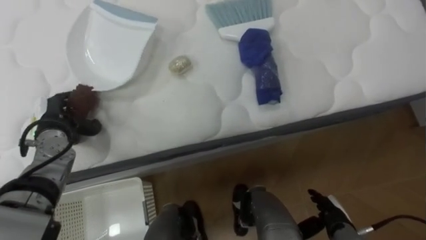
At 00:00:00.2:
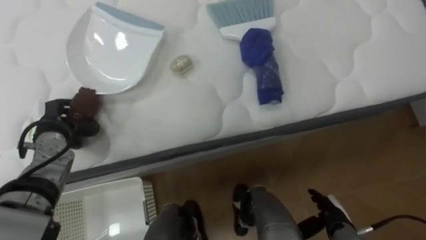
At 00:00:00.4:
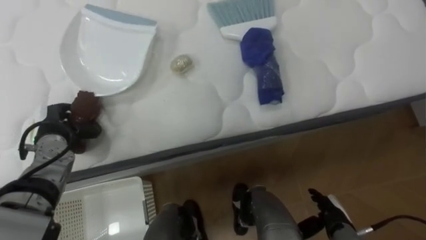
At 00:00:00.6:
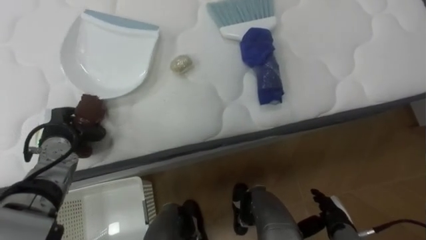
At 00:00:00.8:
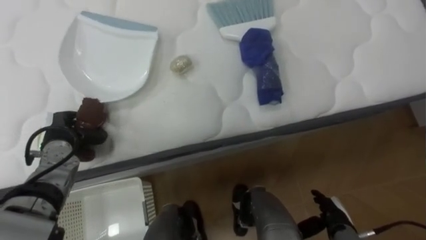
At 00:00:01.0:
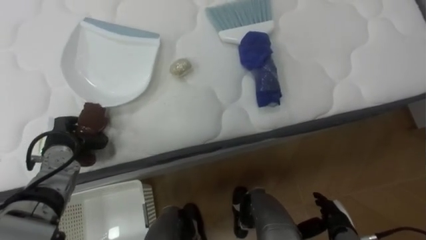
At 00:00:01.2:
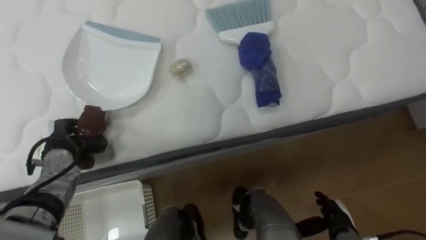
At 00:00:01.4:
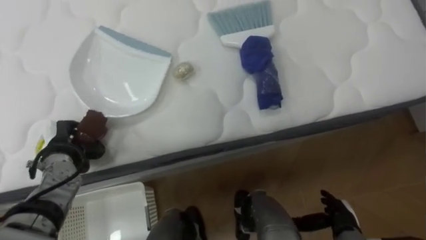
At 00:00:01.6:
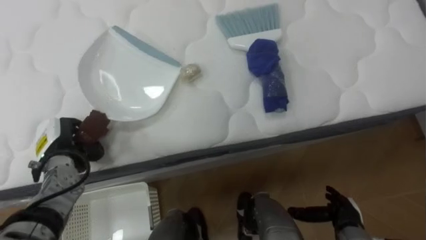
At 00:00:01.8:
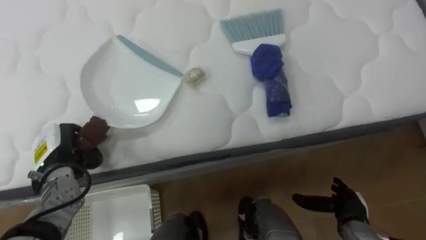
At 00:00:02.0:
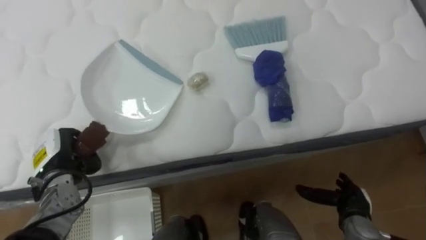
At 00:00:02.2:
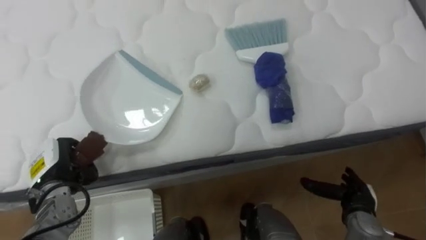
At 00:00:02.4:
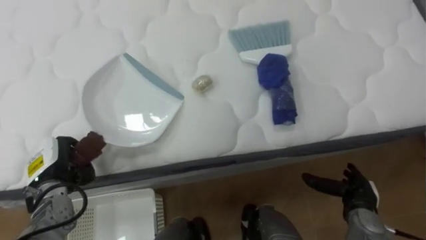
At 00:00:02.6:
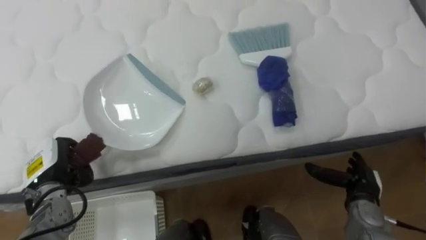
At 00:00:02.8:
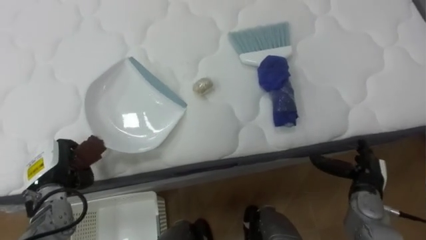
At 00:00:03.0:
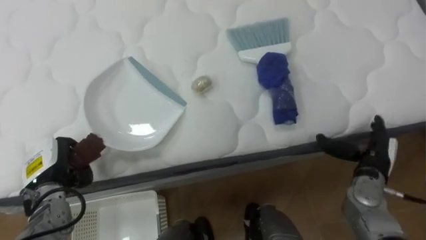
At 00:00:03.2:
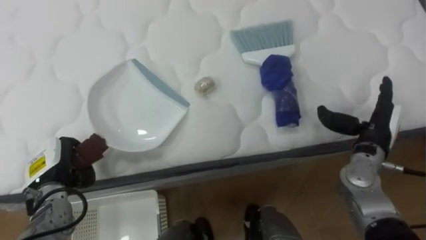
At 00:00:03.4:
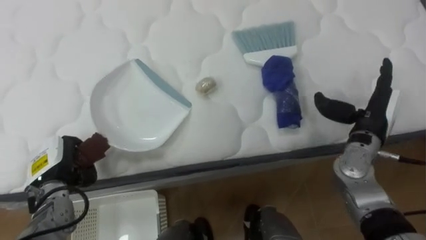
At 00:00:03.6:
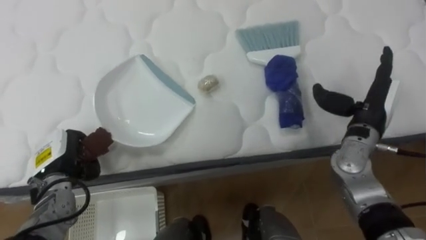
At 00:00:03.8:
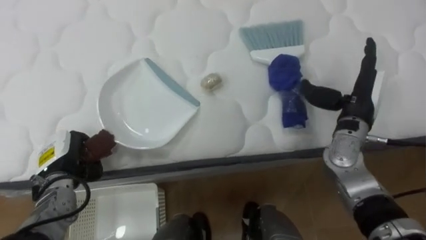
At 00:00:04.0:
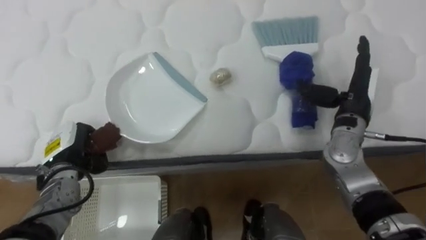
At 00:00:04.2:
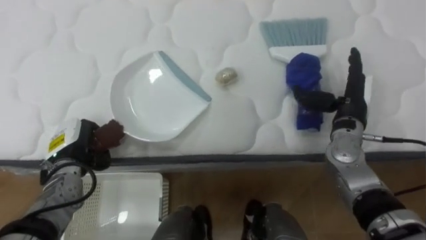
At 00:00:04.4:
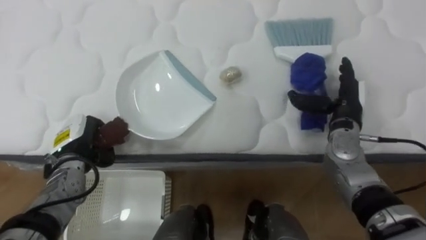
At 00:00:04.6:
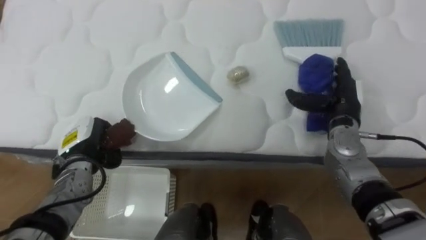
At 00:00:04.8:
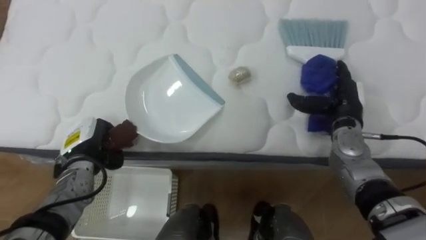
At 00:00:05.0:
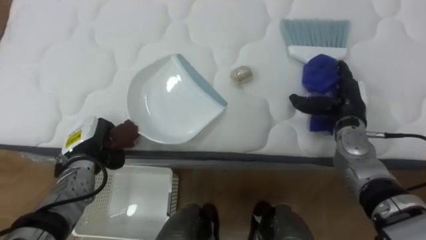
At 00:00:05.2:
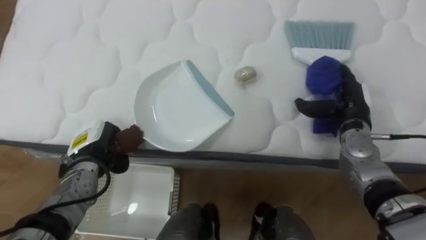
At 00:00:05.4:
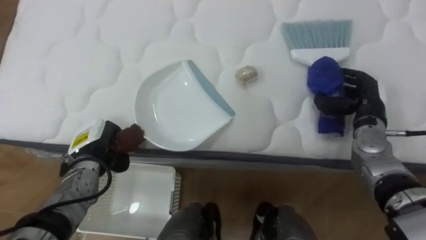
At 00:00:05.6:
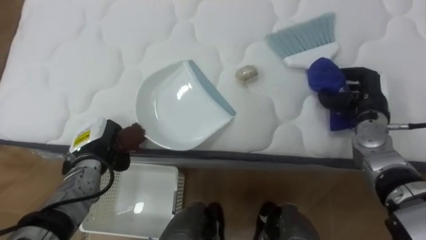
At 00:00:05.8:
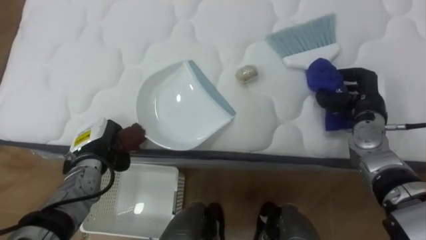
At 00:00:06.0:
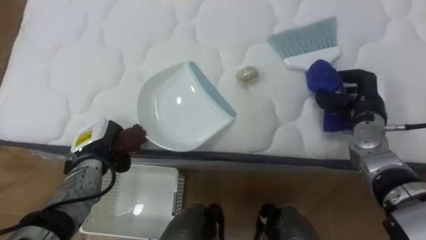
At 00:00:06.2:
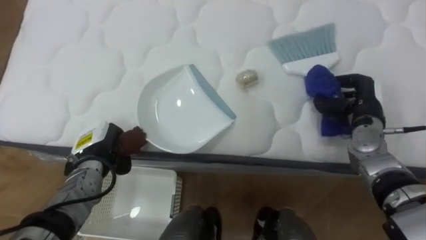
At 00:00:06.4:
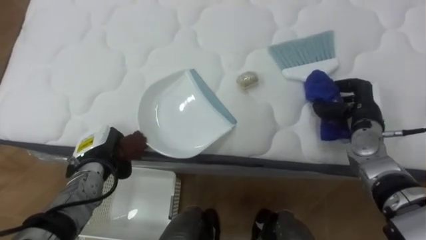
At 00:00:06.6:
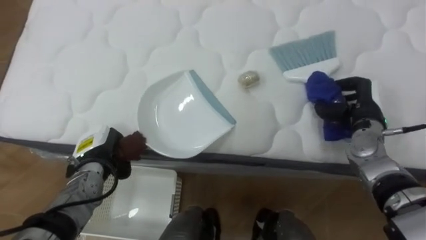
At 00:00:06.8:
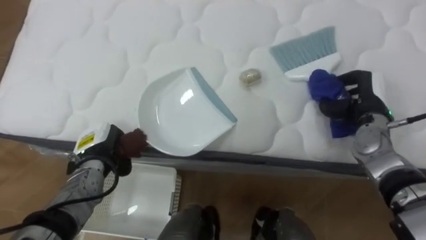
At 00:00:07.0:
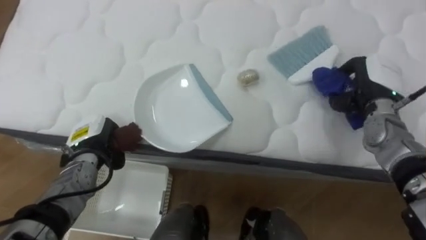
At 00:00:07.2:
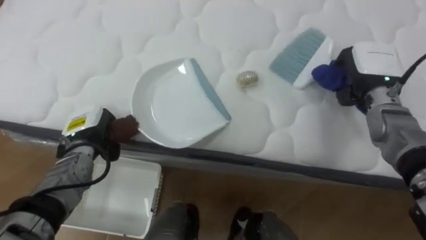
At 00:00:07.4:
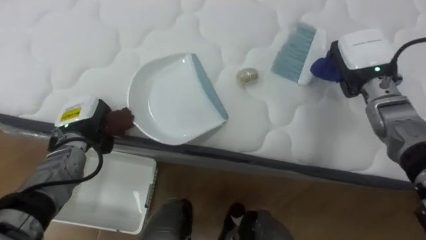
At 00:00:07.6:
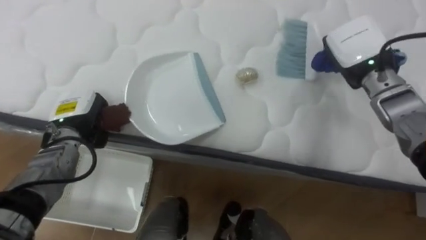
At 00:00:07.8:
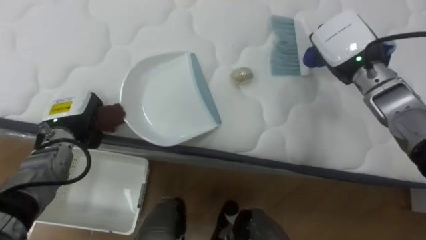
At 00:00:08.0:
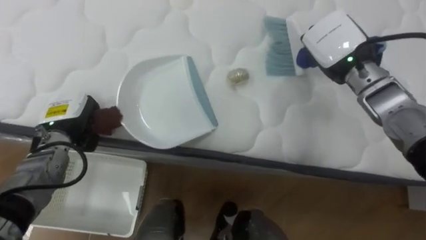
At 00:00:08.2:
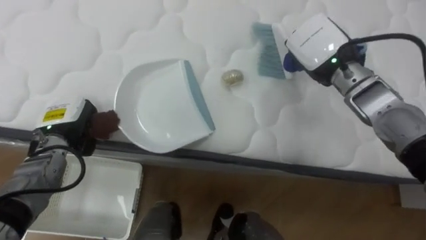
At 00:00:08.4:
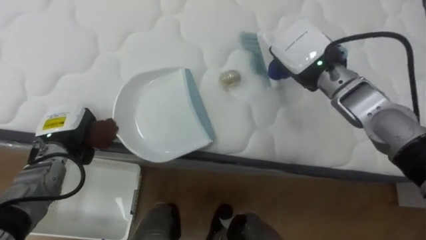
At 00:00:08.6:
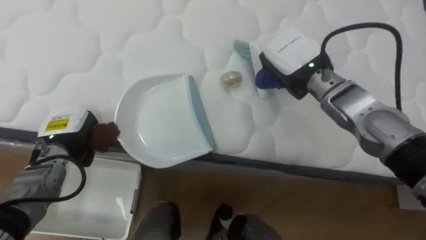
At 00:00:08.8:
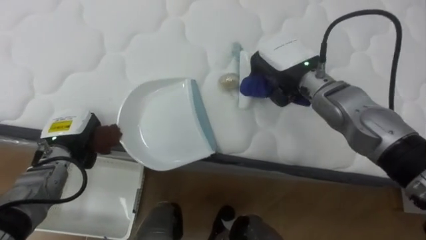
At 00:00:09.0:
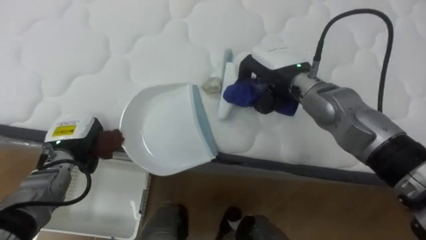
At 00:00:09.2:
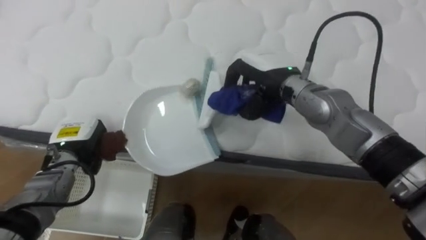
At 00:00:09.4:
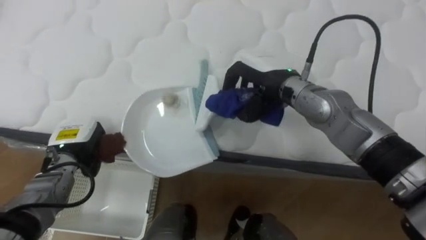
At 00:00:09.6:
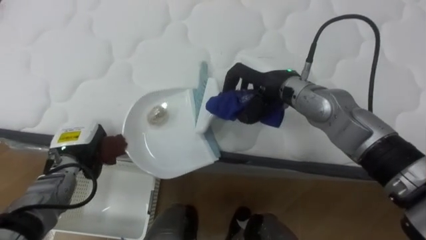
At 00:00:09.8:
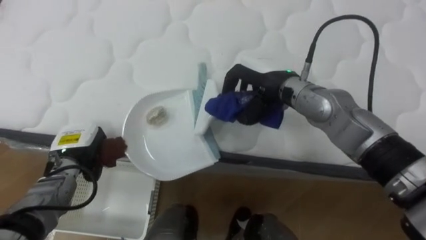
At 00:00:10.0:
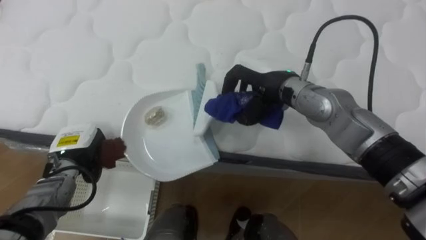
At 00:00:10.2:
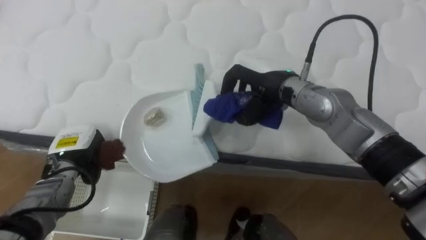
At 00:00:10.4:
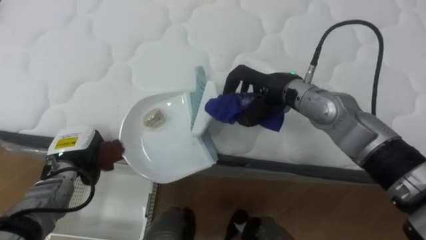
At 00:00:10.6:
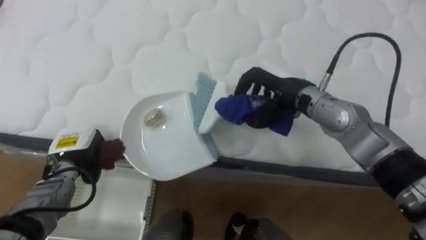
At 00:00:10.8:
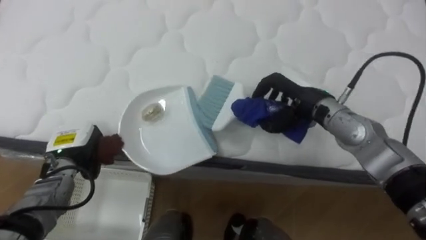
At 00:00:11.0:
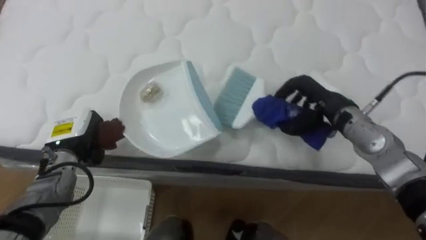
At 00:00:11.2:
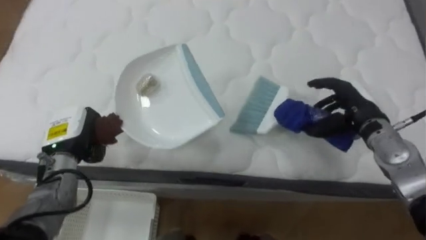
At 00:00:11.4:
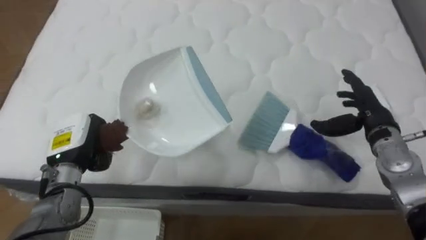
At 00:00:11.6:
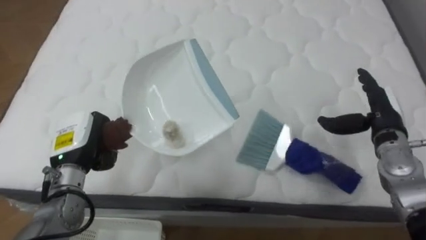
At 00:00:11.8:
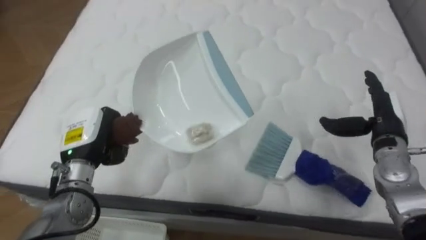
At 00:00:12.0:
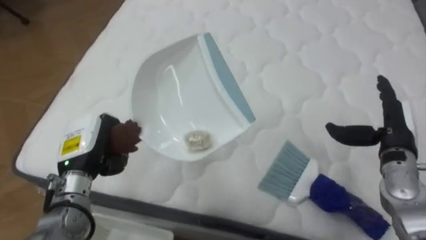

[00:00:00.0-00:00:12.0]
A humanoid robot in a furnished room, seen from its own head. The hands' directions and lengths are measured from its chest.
Task of the whole recording: Pick up the brush on your right and the dustpan on your left. Use the brush to sweep the crumpled paper on the bed into the dustpan, then turn left and empty it into the basket.
00:00:00.0 to 00:00:01.6: The left hand closes its fingers.
00:00:01.6 to 00:00:03.0: The right hand is displaced upward and forward by roughly 15 cm.
00:00:03.0 to 00:00:04.4: The right hand shifts approximately 10 cm forward, upward and to the left. Meanwhile the left hand heads forward, covering approximately 5 cm.
00:00:04.4 to 00:00:06.0: The right hand closes up.
00:00:06.0 to 00:00:07.6: The left hand travels upward by roughly 5 cm; the right hand moves upward, roughly 10 cm.
00:00:07.6 to 00:00:09.0: The right hand goes roughly 15 cm to the left.
00:00:10.4 to 00:00:12.0: The left hand moves upward, approximately 5 cm; the right hand travels to the right by approximately 25 cm, and opens.

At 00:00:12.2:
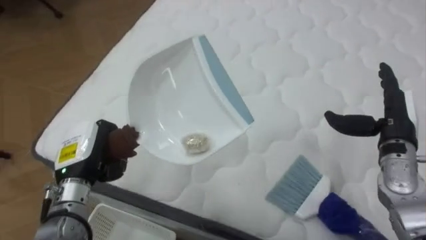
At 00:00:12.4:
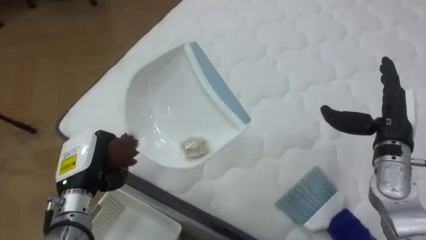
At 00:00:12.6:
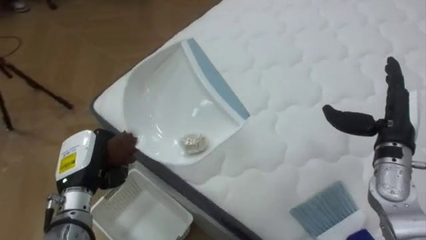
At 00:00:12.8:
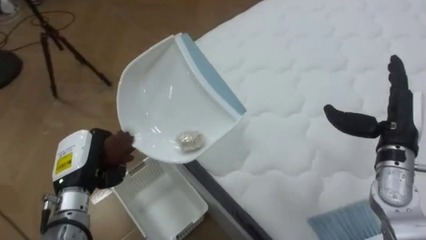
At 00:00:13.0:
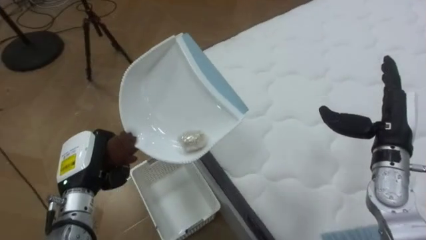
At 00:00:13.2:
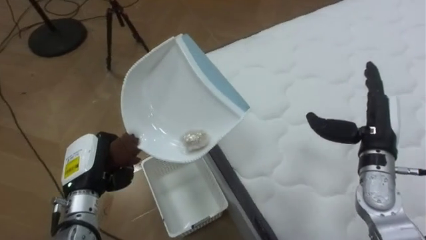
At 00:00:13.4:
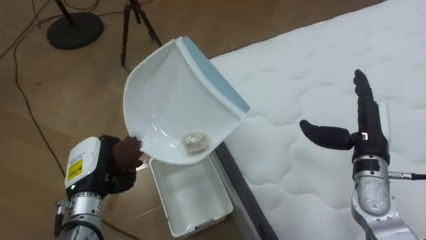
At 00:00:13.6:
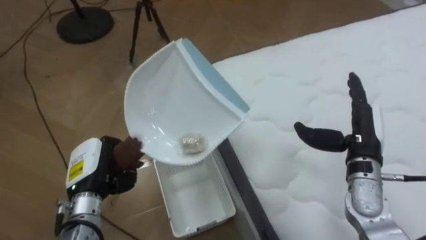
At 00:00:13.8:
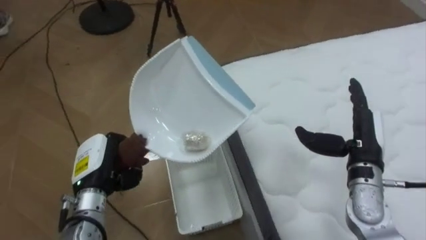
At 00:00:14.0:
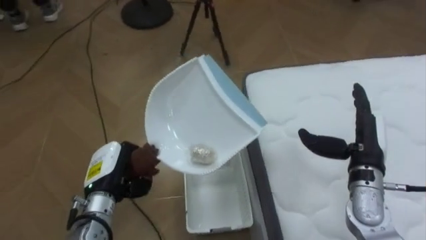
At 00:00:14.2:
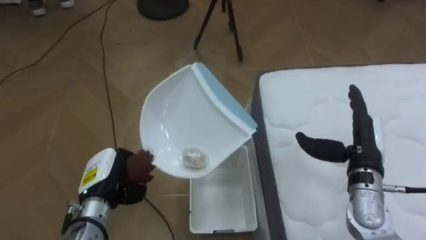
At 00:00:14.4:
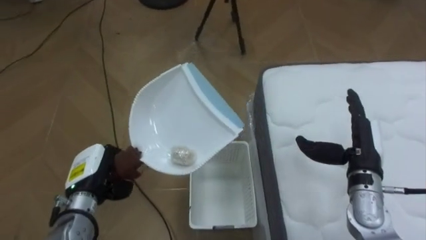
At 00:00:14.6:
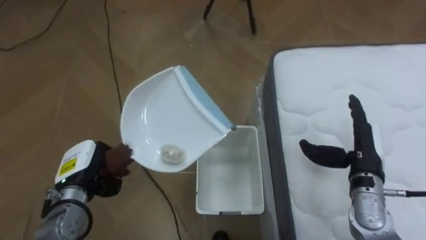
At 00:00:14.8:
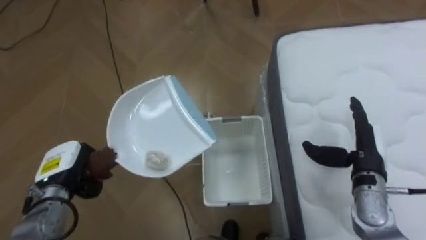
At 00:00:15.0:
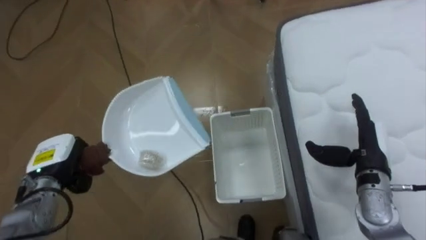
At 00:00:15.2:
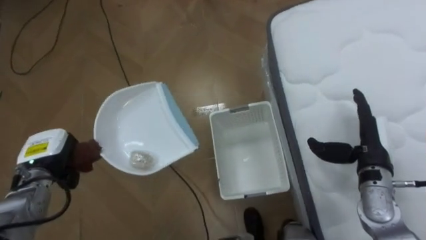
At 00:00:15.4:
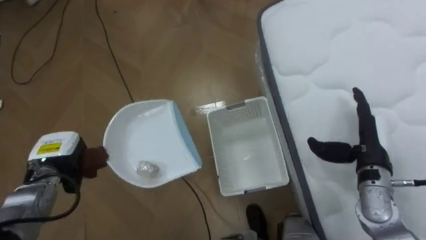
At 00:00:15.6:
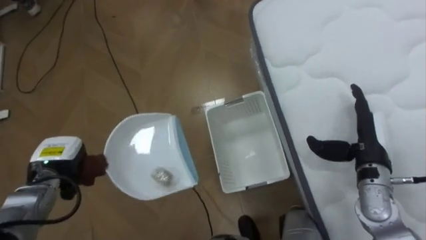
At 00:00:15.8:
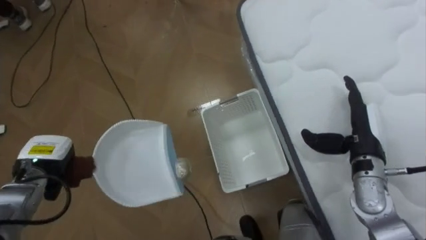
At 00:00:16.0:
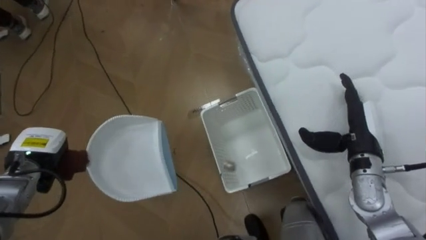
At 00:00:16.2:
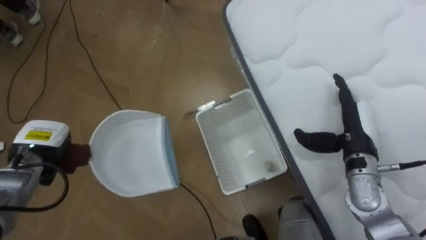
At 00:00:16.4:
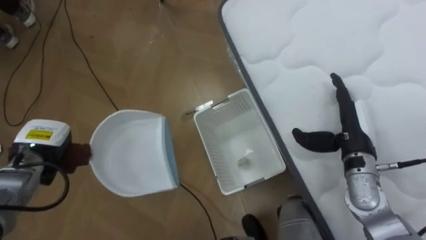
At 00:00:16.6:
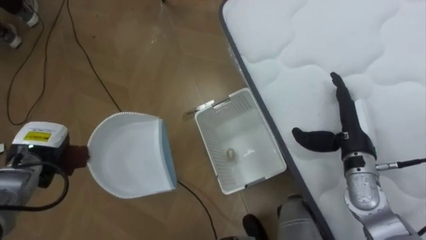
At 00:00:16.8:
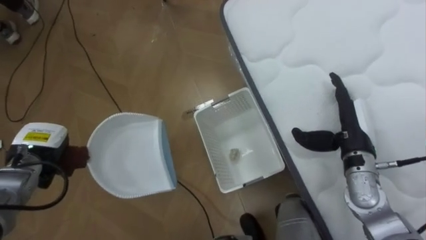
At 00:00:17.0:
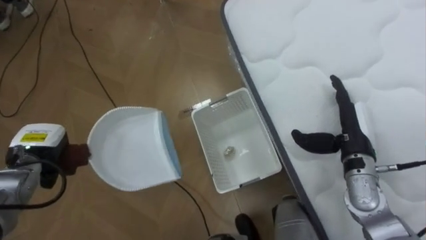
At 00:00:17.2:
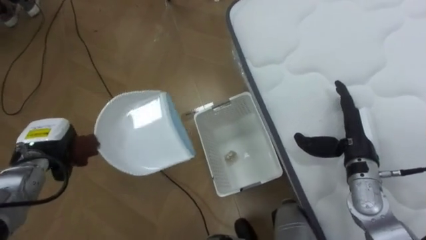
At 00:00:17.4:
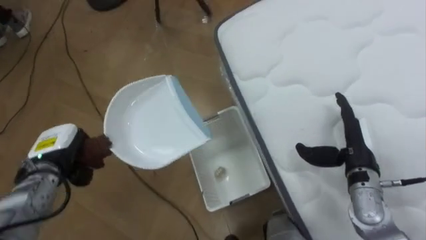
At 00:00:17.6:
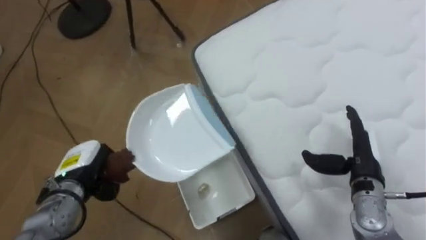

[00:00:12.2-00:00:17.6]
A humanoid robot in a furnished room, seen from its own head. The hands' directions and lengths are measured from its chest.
Task of the whole recording: Pick up the brush on your right and the dustpan on your left. Use the brush to sweep the crumpled paper on the bed into the dustpan, then turn left and empty it into the basket.
00:00:12.2 to 00:00:13.6: The robot's body swings about 45 degrees to its left. The right hand travels to the left by approximately 5 cm.
00:00:13.6 to 00:00:15.0: The robot's body swings approximately 25 degrees to its left. The left hand is displaced to the left by about 5 cm.
00:00:16.2 to 00:00:17.6: The right hand ends up roughly 5 cm from where it was; the left hand travels to the right by approximately 5 cm.
